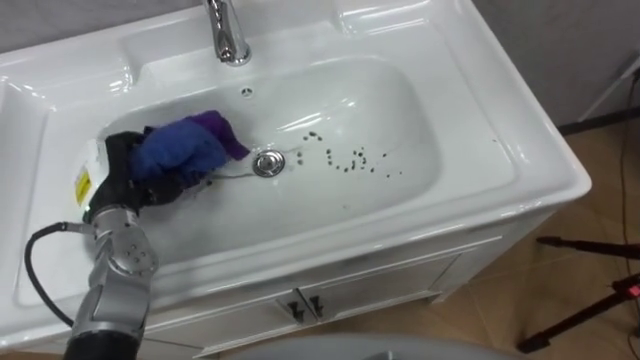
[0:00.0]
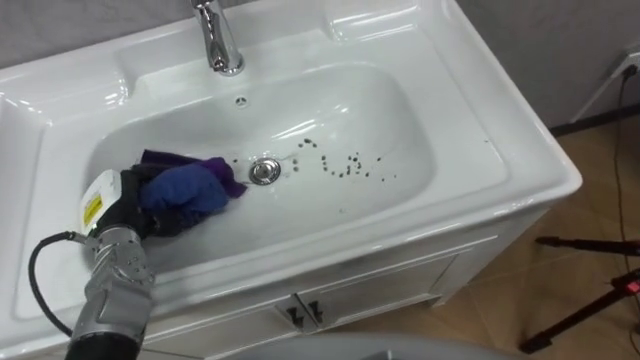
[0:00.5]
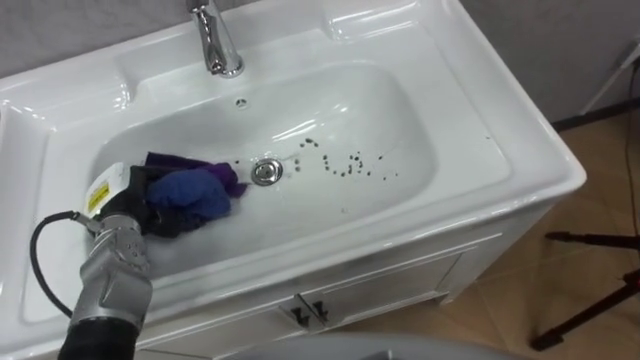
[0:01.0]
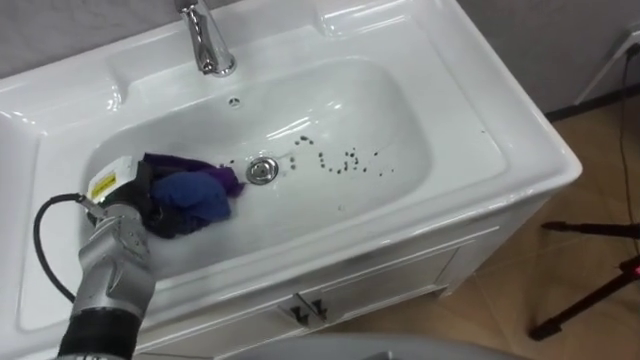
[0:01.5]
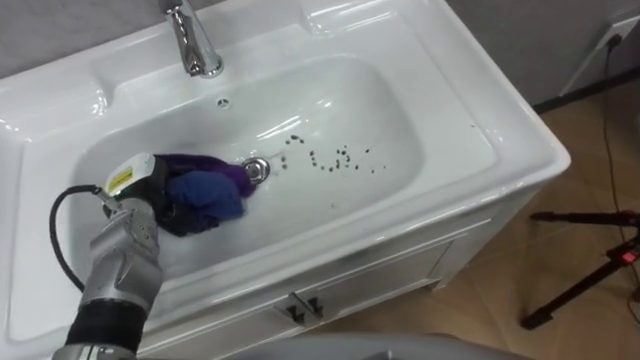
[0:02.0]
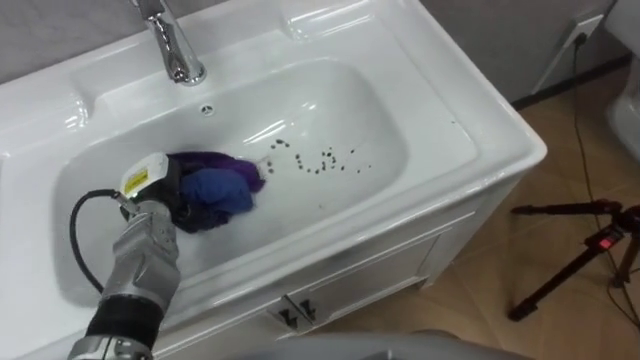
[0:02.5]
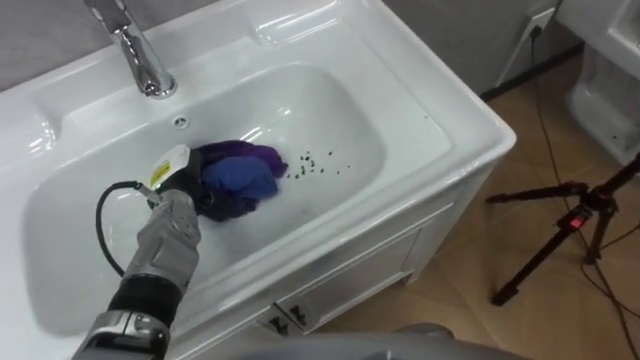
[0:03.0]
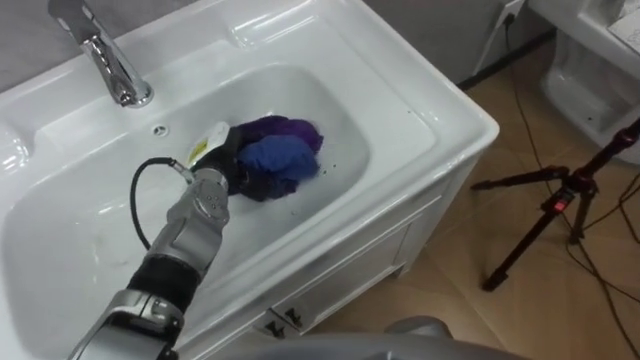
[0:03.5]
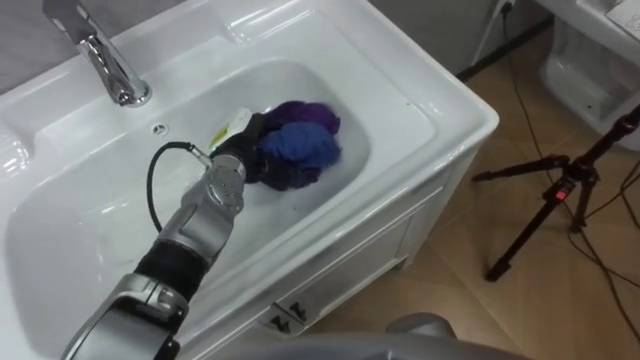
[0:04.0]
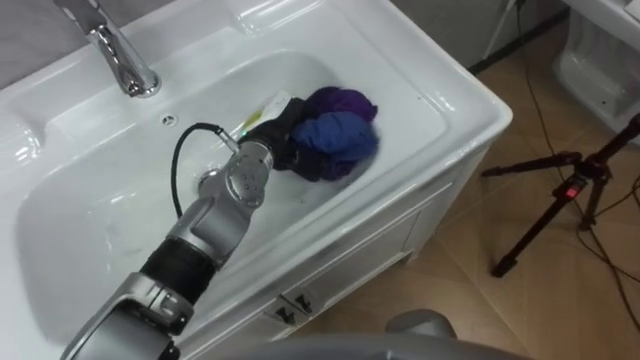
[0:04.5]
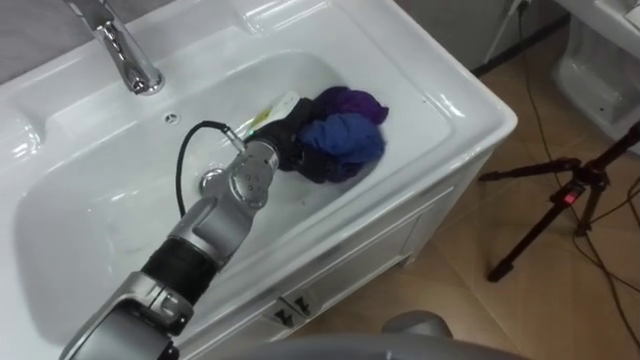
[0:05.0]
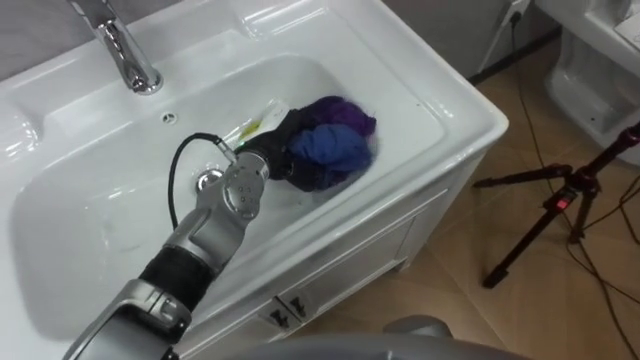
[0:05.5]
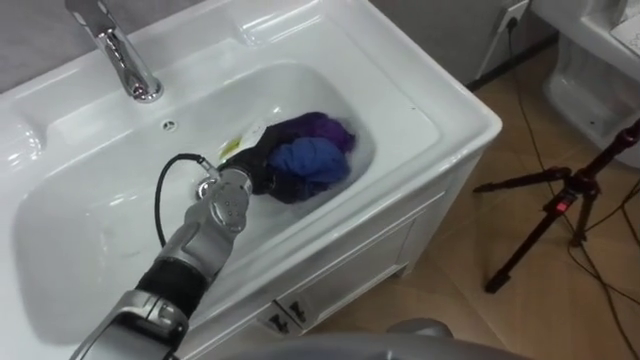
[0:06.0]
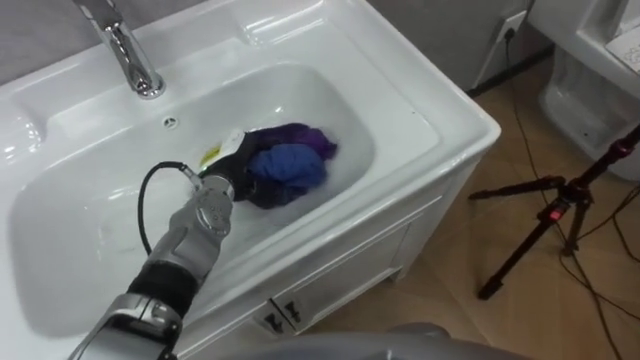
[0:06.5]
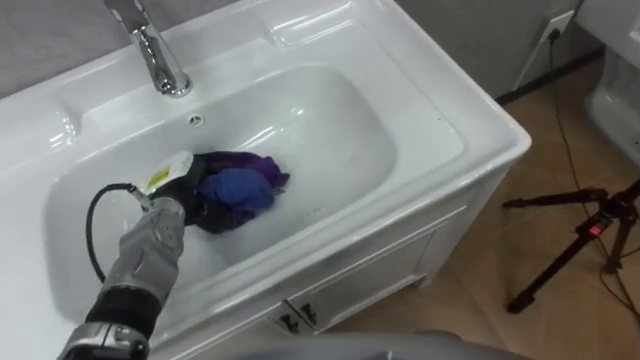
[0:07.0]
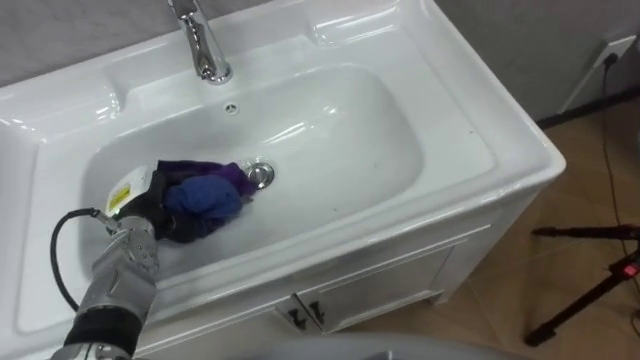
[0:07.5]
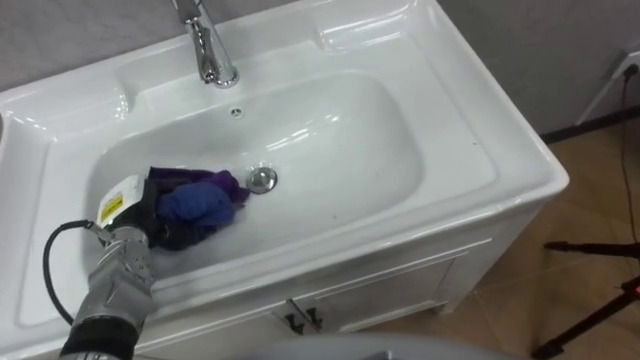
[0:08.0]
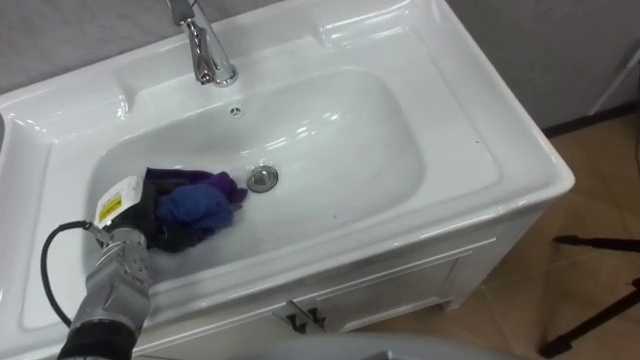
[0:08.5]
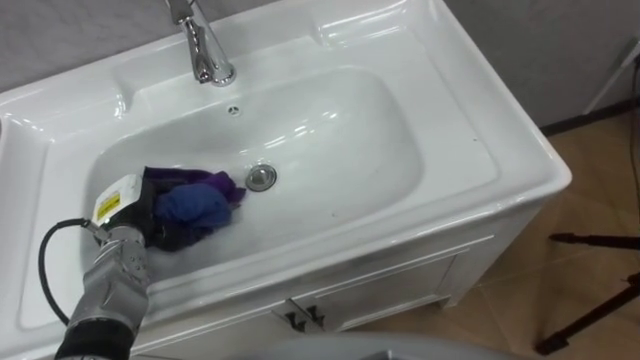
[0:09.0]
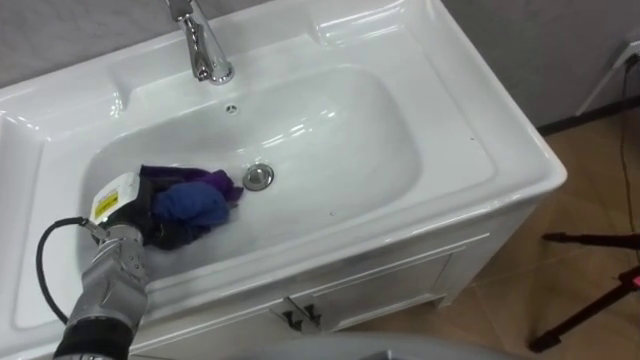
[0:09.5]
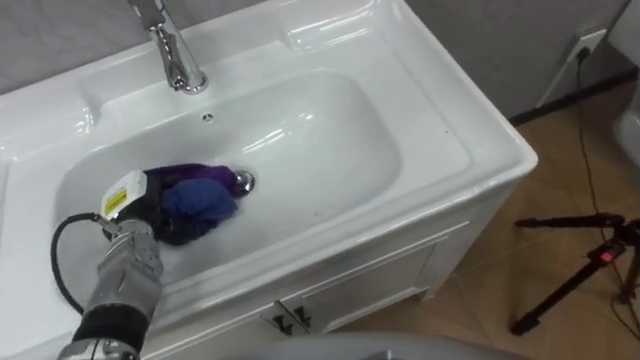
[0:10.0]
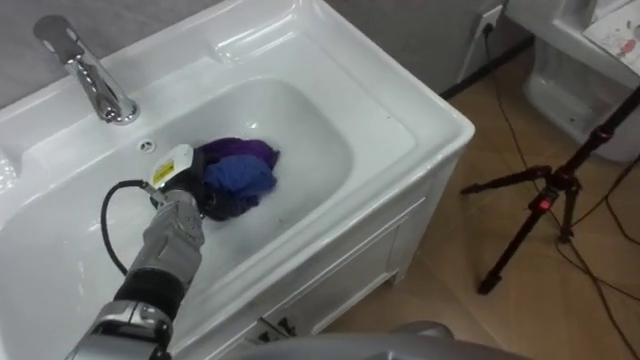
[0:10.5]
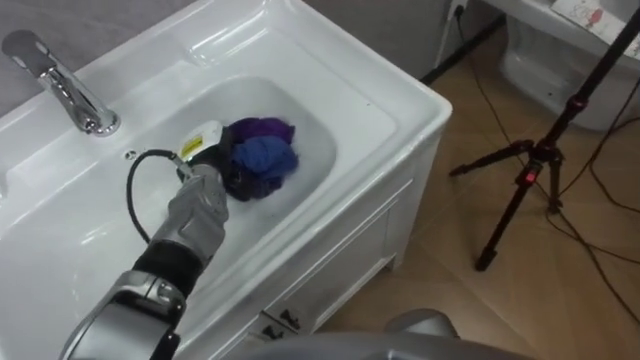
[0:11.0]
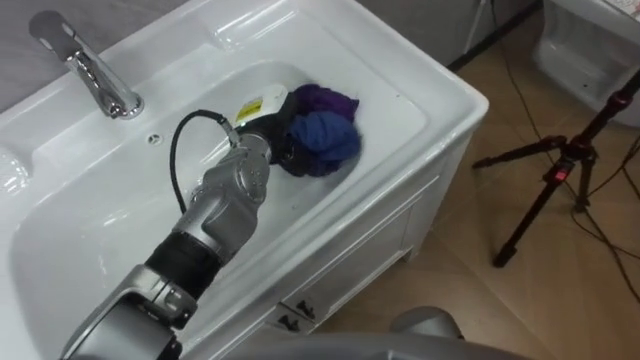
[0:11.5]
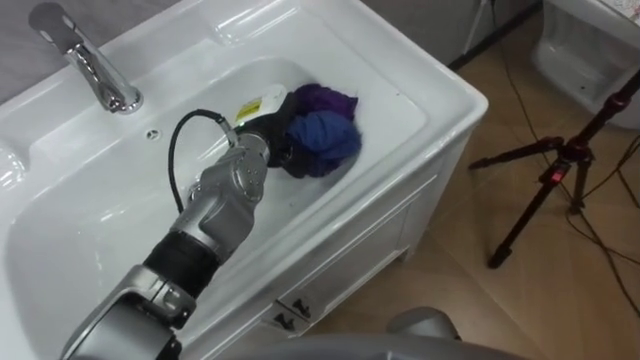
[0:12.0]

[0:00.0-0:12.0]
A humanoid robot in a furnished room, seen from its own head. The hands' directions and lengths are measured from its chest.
Task of the whole recording: Use the cloth on the right to wipe away the black stain in the sink.
0:02.0 to 0:04.0: The left hand is displaced to the right and forward by some 15 cm.
0:06.0 to 0:08.0: The left hand shifts roughly 20 cm to the left and backward.
0:10.0 to 0:12.0: The left hand travels to the right, forward and upward by roughly 25 cm.

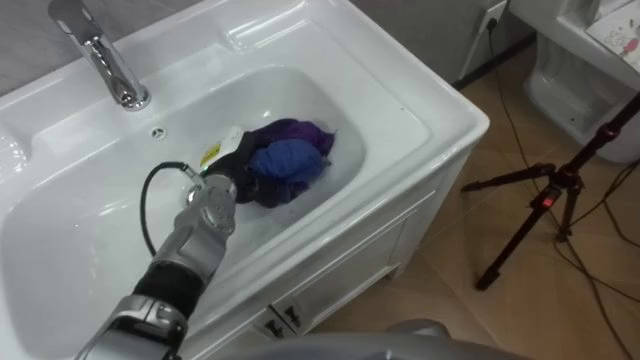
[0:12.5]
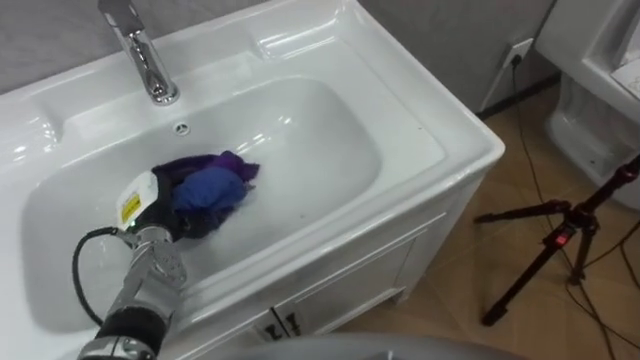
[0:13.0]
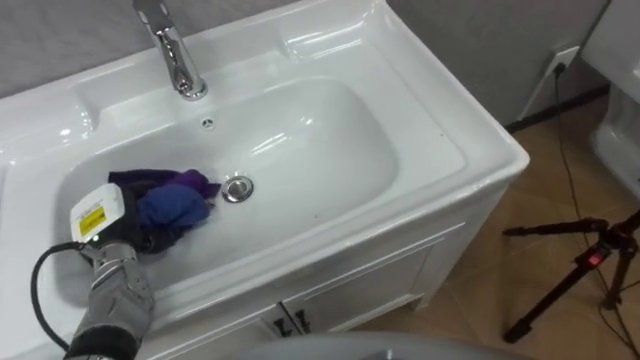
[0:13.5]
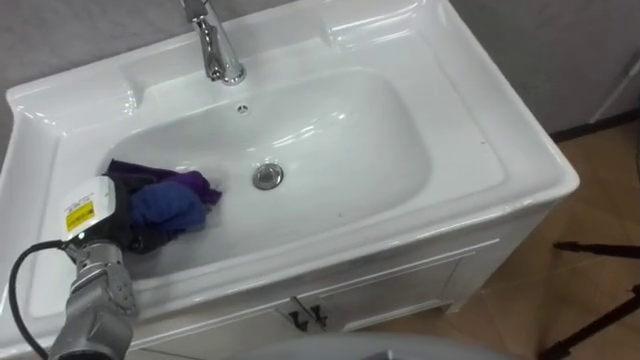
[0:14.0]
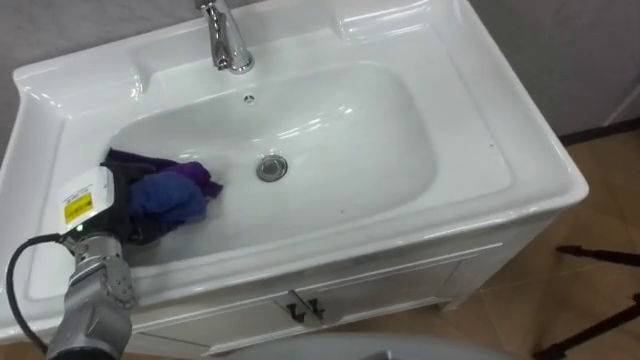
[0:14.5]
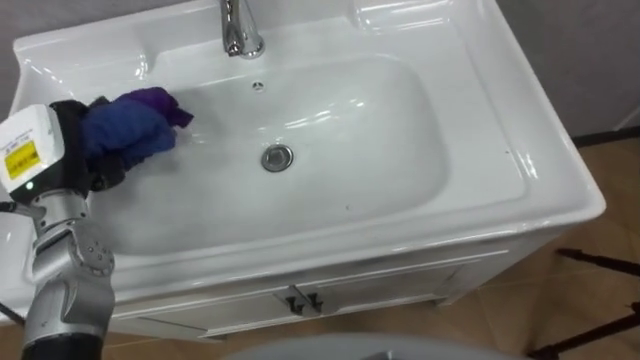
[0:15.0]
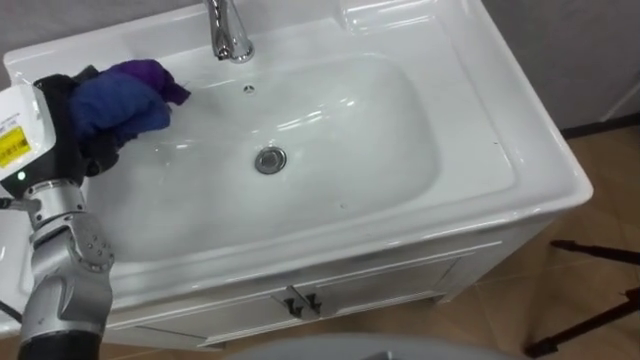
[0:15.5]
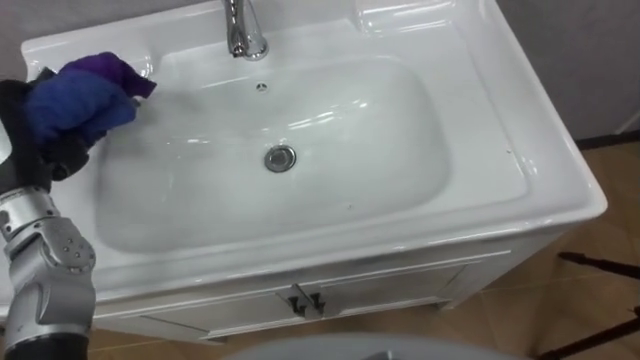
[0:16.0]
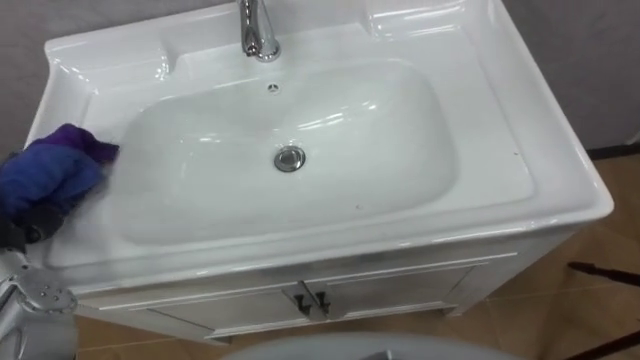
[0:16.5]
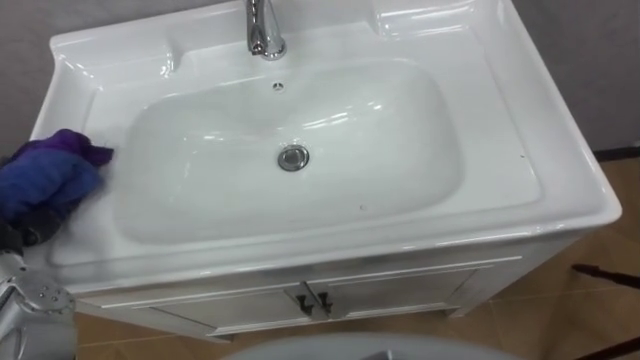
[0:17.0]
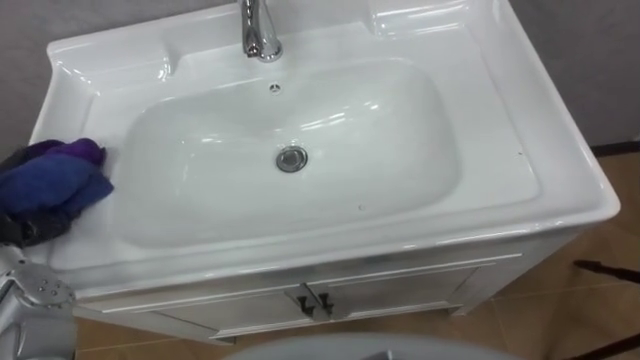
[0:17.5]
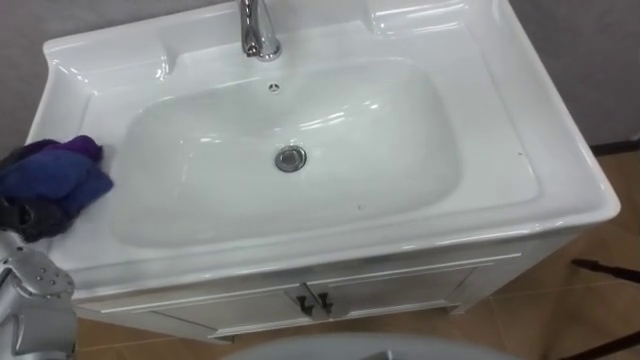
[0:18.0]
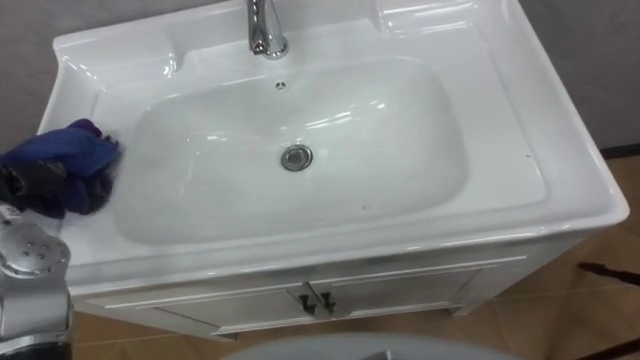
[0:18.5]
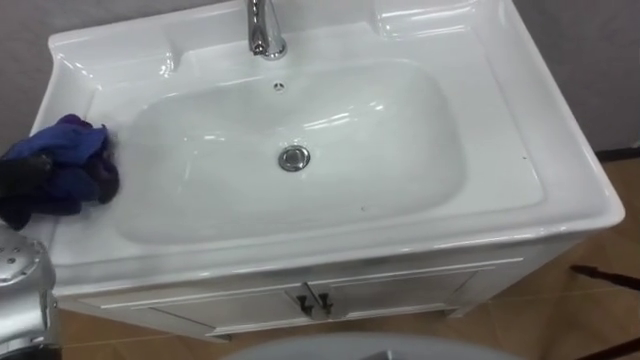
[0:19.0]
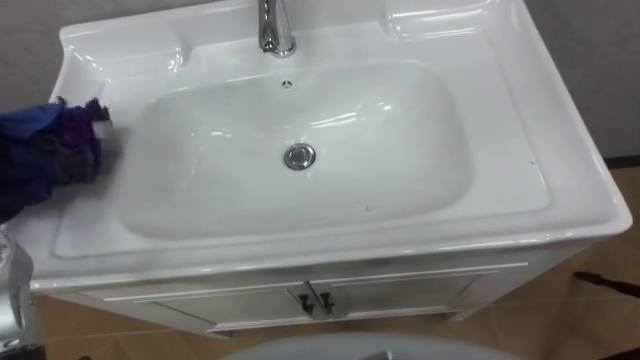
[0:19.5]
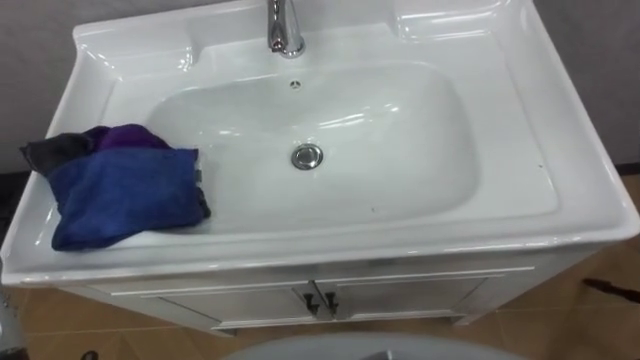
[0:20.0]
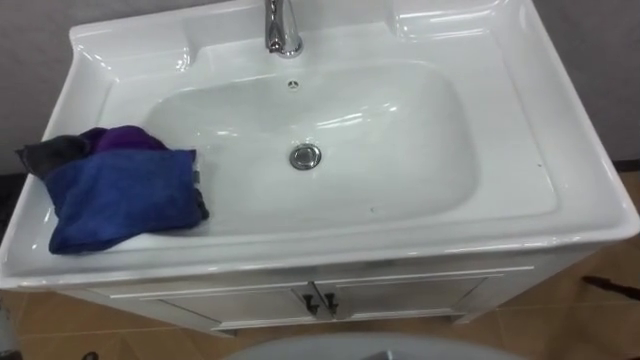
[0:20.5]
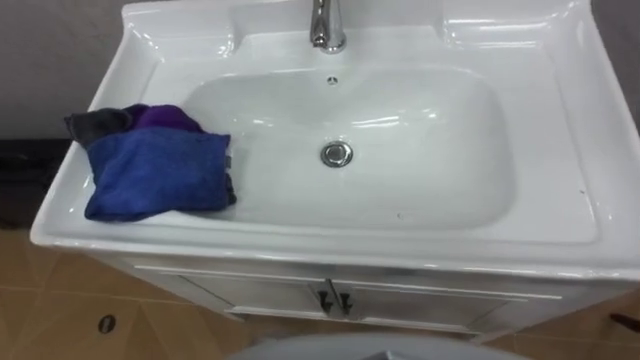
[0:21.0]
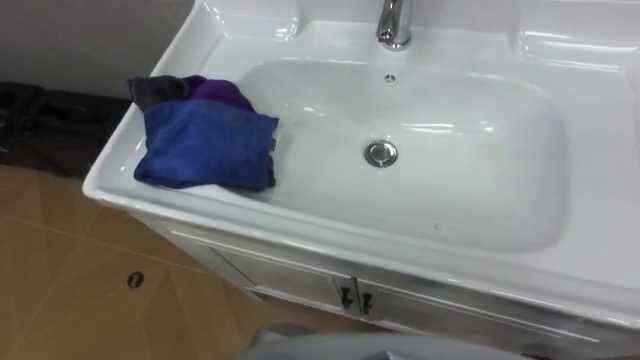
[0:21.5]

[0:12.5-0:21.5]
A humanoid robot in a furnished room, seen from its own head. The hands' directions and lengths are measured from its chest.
Task of the whole recording: Use the cloth on the right to wipe away the black stain in the sink.
0:12.5 to 0:14.5: The left hand moves to the left and backward, approximately 20 cm.
